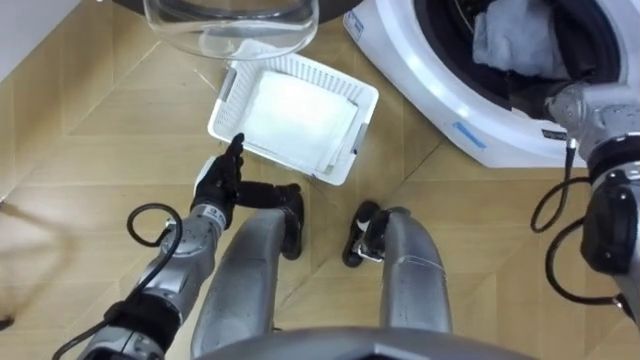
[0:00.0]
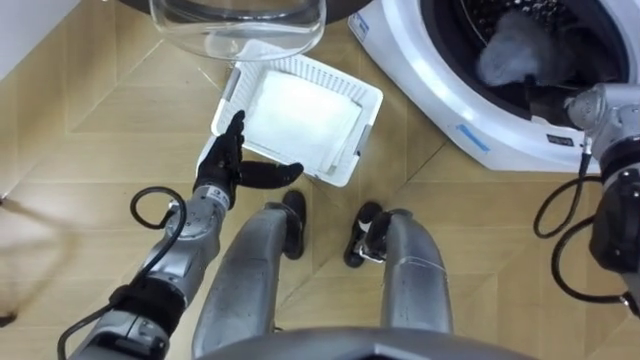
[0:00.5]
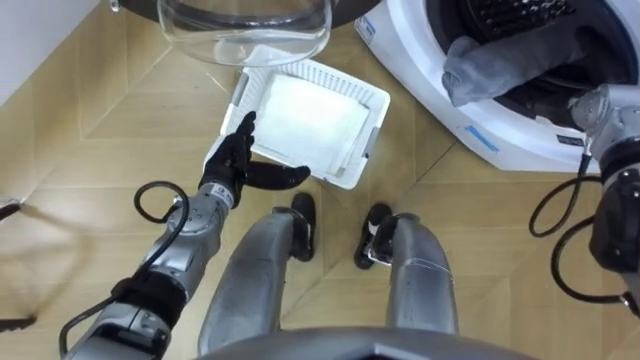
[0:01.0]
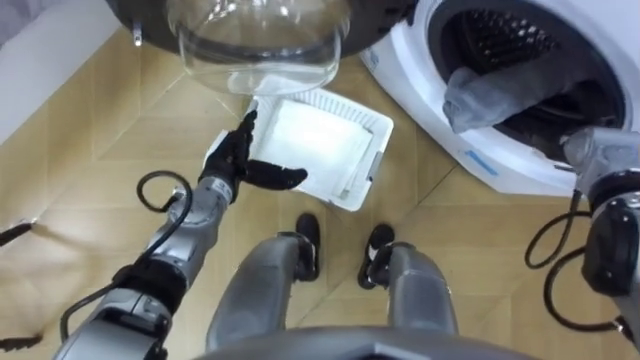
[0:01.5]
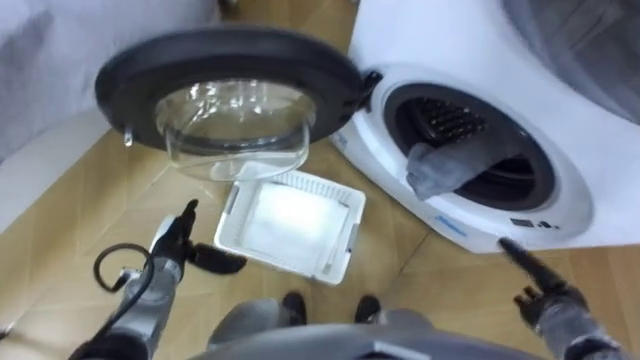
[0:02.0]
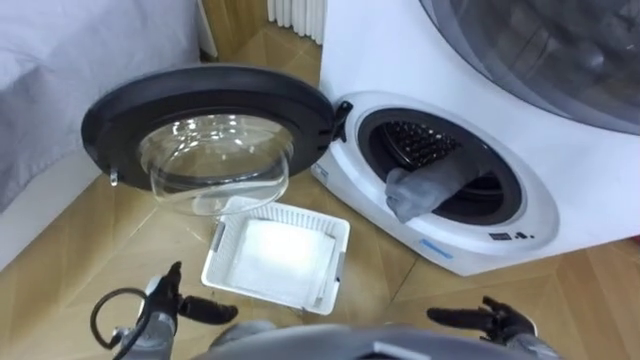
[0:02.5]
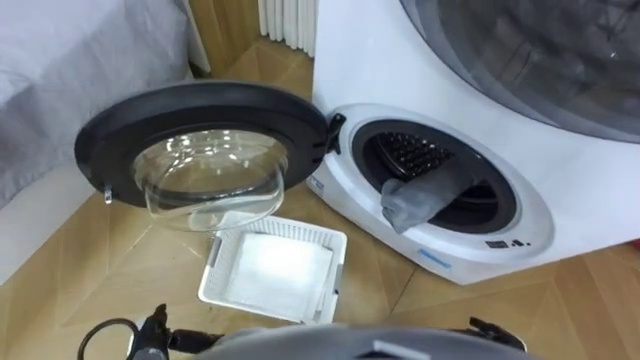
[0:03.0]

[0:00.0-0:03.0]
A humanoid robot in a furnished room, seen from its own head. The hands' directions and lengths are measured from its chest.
Task of the whole recording: Take the towel from the basket and put it into the washing machine.
0:00.0 to 0:01.5: The right hand shifts by approximately 5 cm, and opens up.
0:01.5 to 0:03.0: The left hand is displaced backward, downward and to the left by roughly 30 cm, while the right hand travels backward and downward by roughly 35 cm.

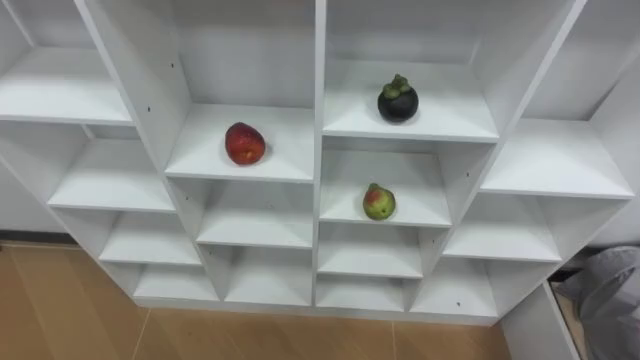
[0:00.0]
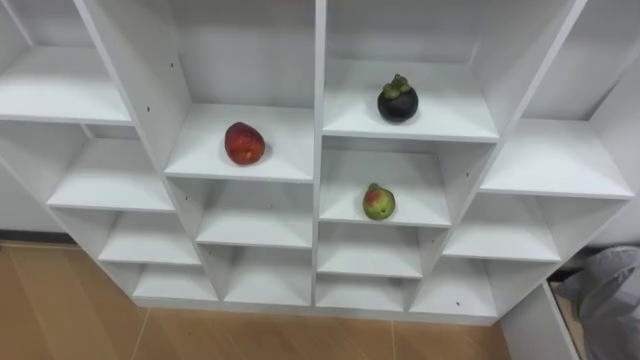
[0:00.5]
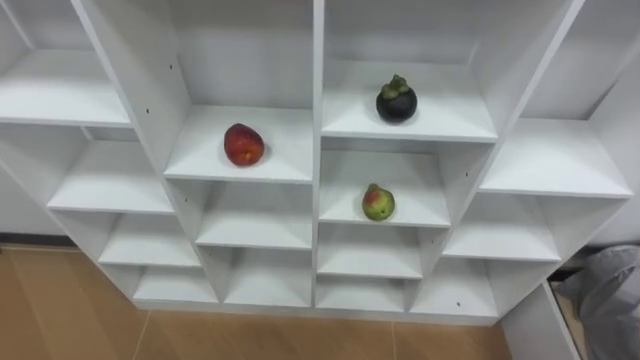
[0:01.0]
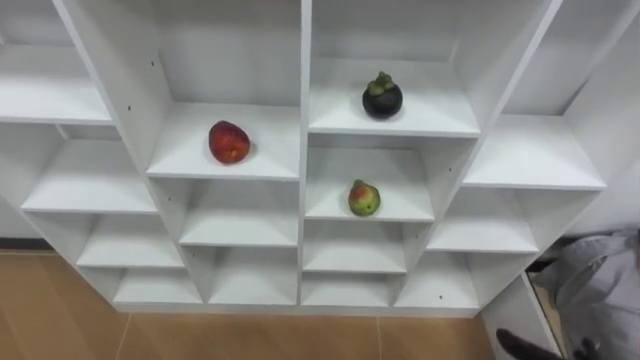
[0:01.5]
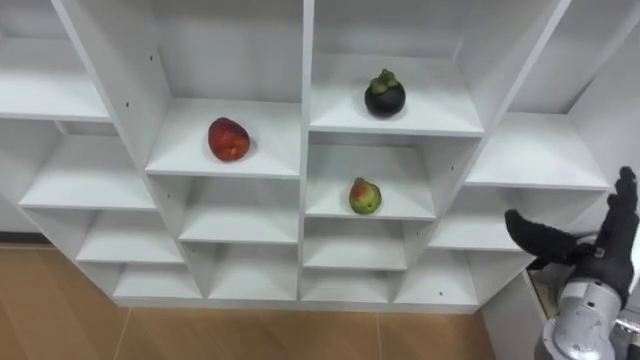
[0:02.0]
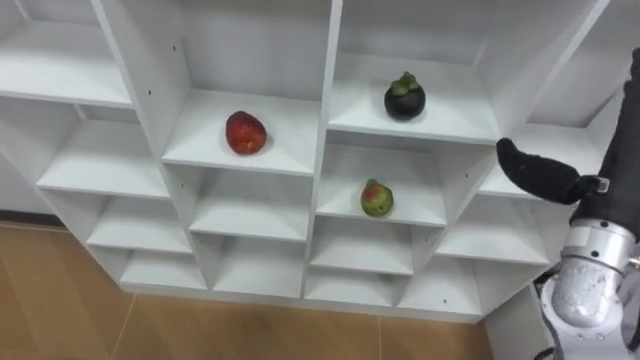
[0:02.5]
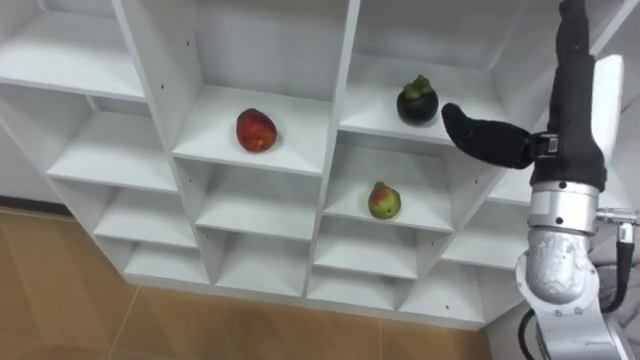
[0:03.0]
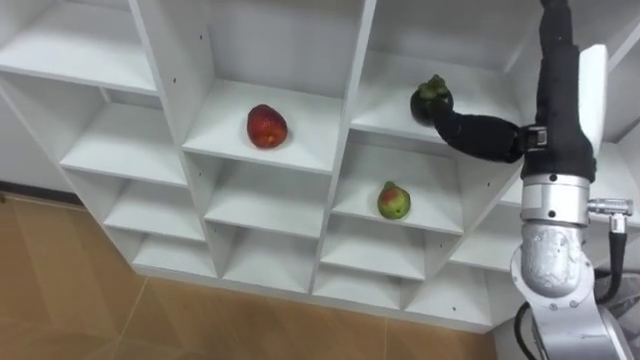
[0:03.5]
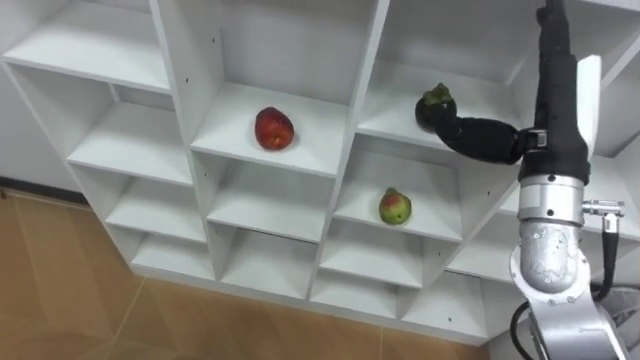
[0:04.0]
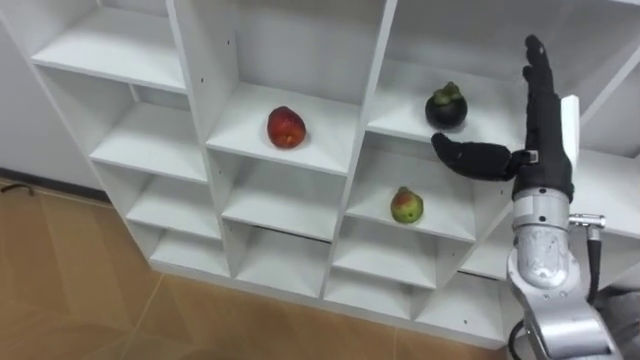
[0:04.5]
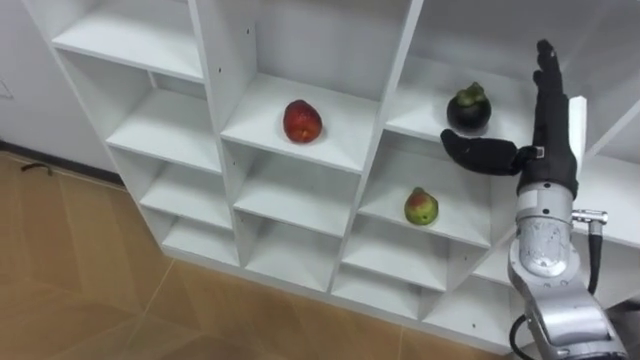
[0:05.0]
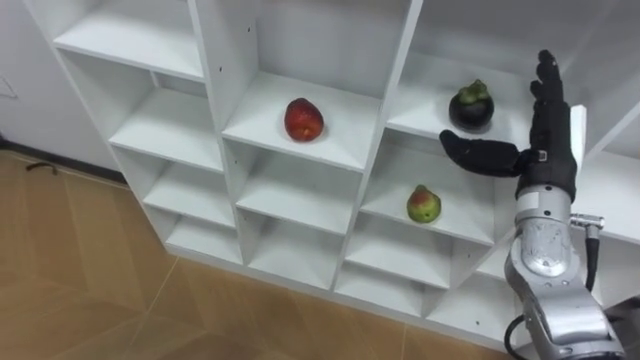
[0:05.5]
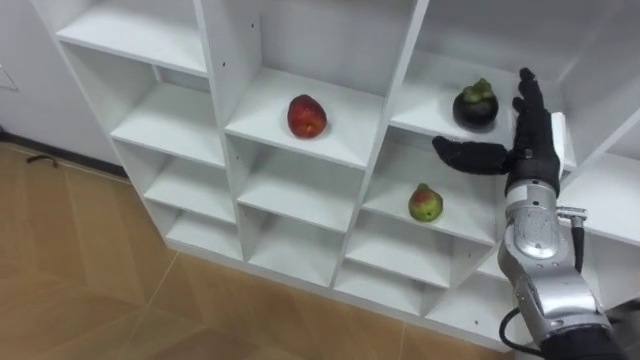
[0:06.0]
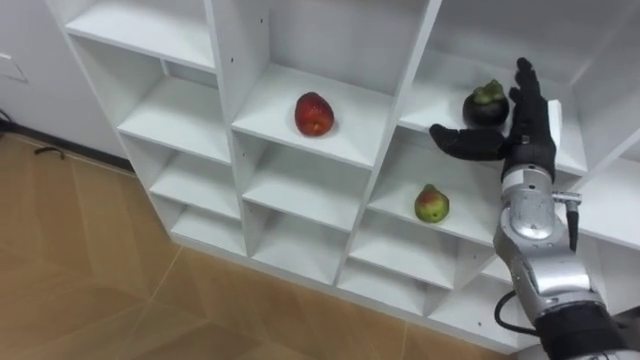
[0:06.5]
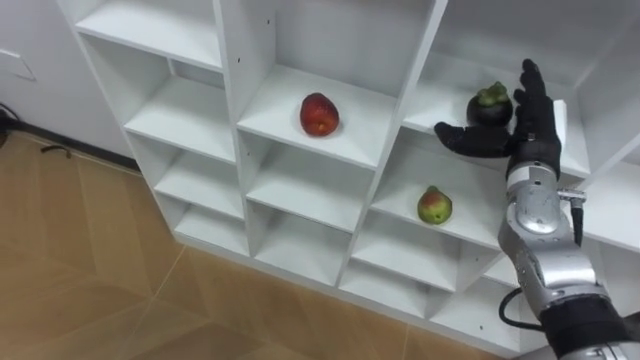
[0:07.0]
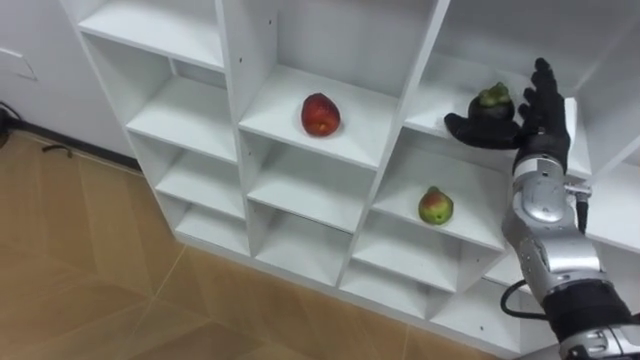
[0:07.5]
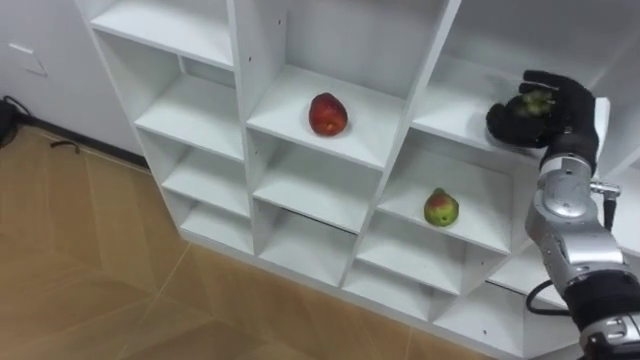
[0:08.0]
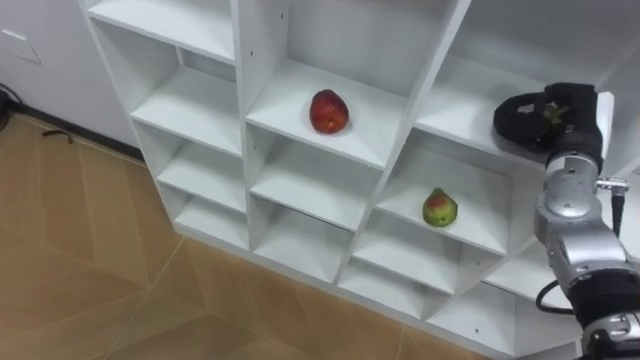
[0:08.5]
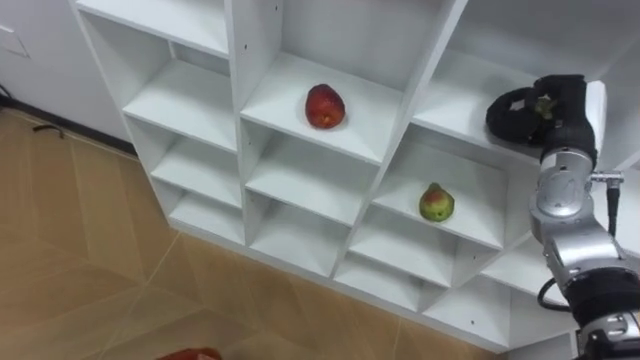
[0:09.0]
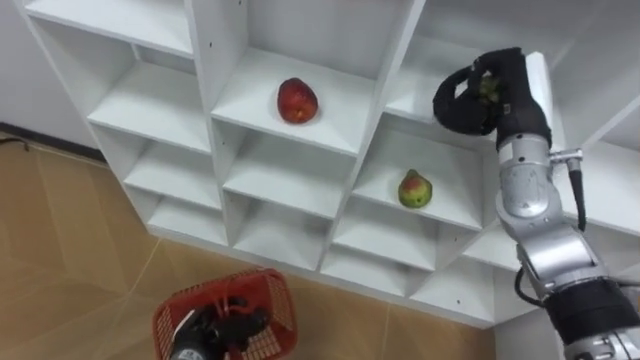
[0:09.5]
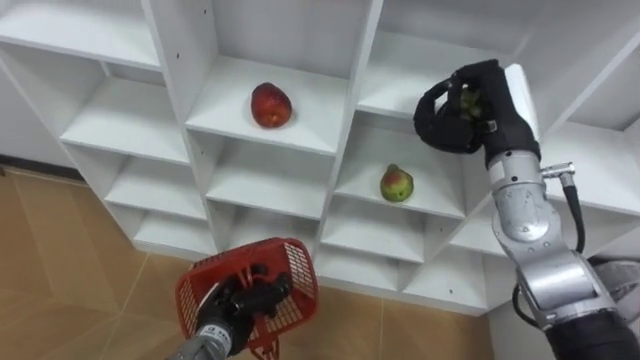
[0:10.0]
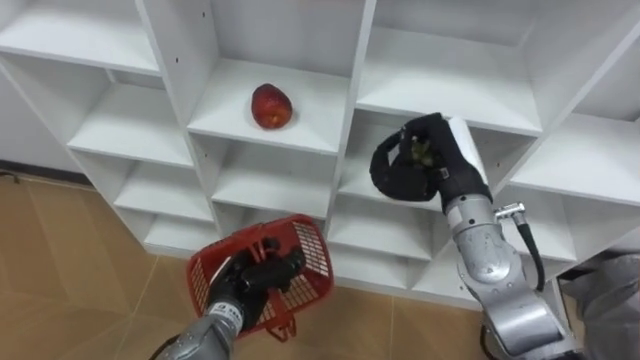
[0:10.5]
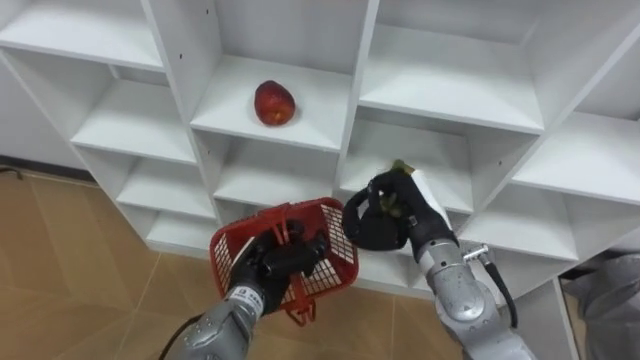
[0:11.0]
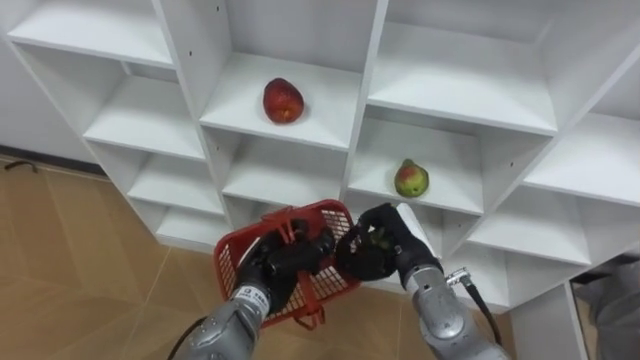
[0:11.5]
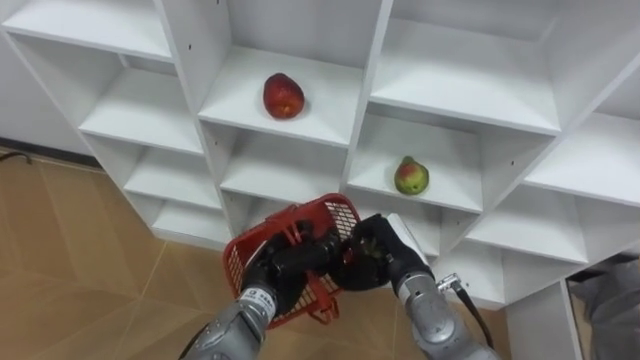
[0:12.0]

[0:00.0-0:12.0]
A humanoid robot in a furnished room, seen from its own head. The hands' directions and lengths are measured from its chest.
Task of the whole recording: Hold the basket and collect the fruits from 3 different cells of the closet into it.
0:02.0 to 0:04.0: The right hand shifts some 20 cm upward, to the left and forward.
0:04.0 to 0:06.0: The right hand is displaced downward by roughly 10 cm.
0:06.0 to 0:08.0: The right hand shifts by roughly 5 cm, and closes up.
0:08.0 to 0:10.0: The right hand goes some 10 cm to the left, and closes.
0:10.0 to 0:12.0: The right hand heads downward, to the left and backward, covering roughly 20 cm. Meanwhile the left hand heads to the right and upward, covering some 10 cm.

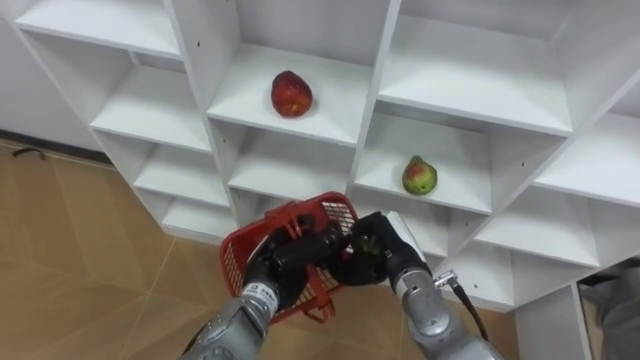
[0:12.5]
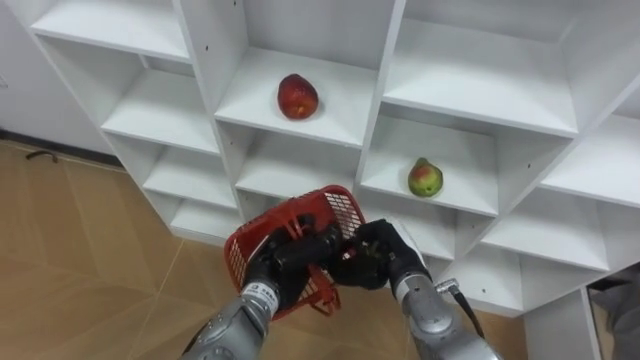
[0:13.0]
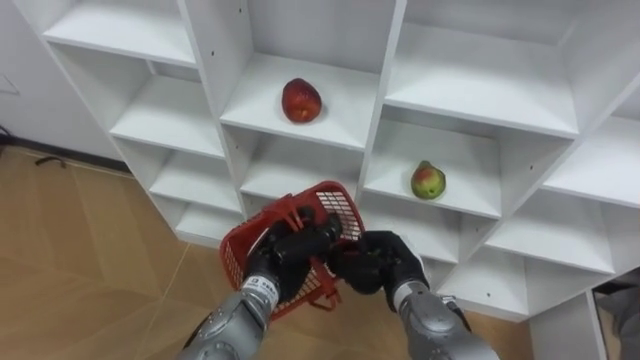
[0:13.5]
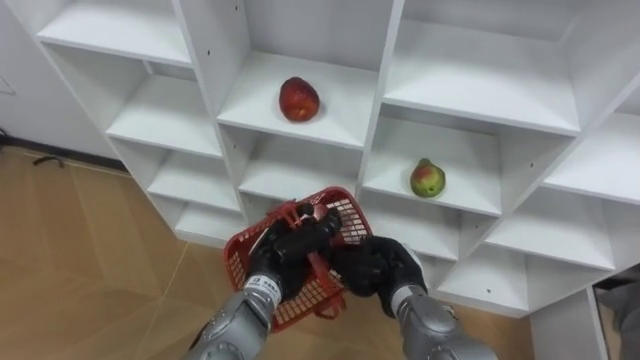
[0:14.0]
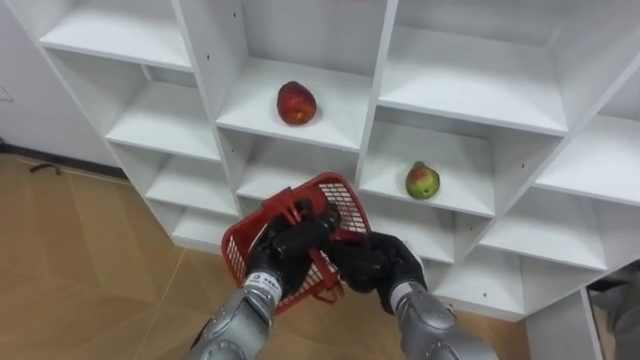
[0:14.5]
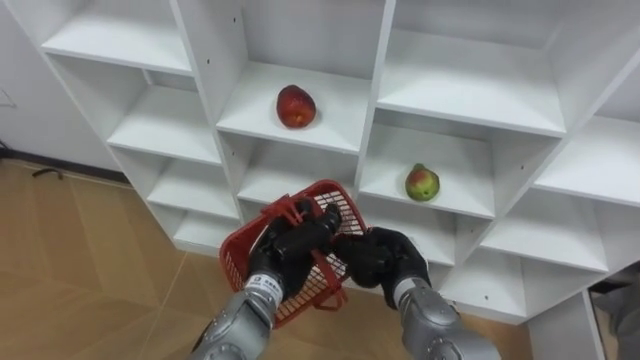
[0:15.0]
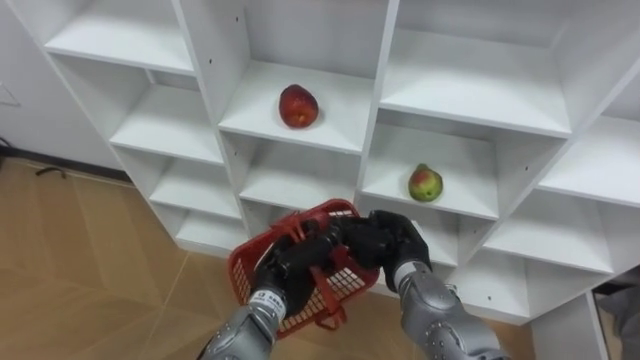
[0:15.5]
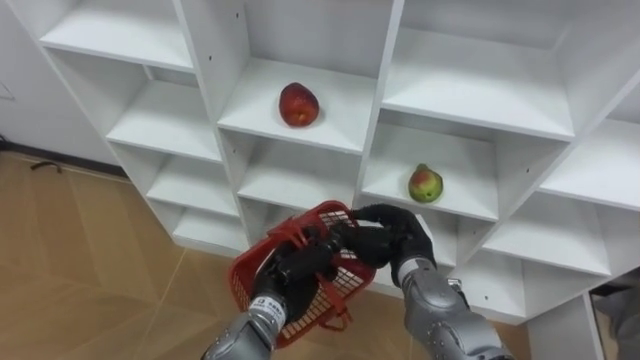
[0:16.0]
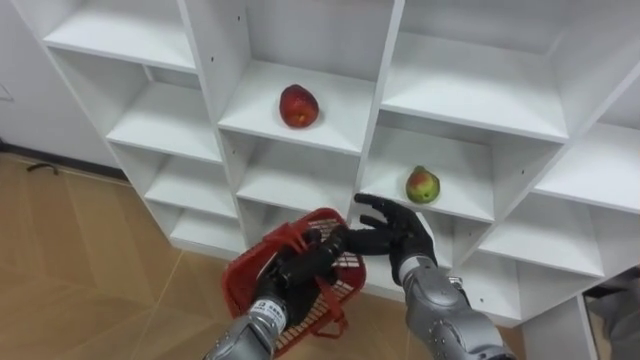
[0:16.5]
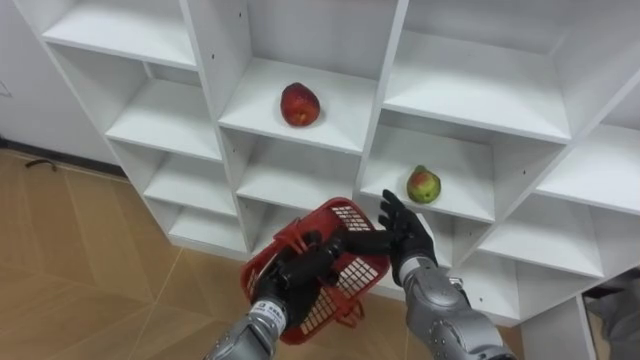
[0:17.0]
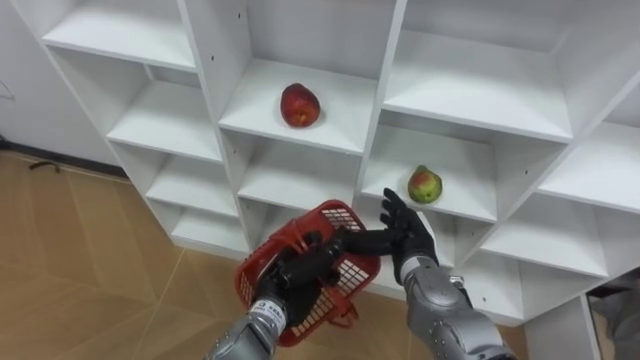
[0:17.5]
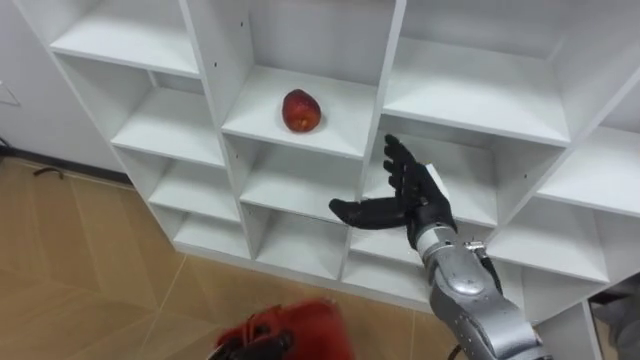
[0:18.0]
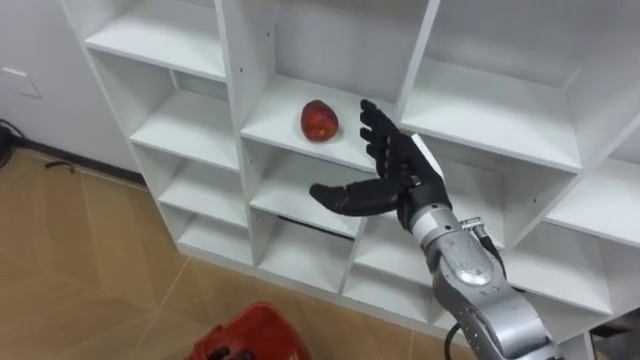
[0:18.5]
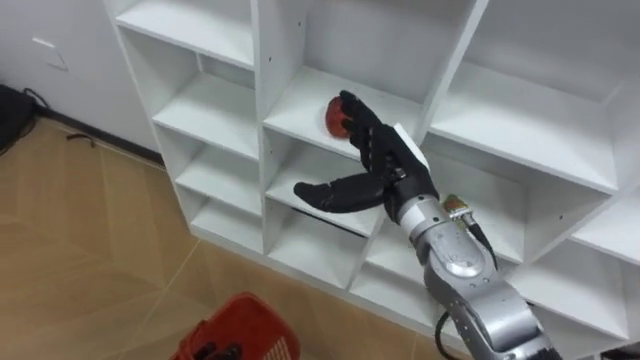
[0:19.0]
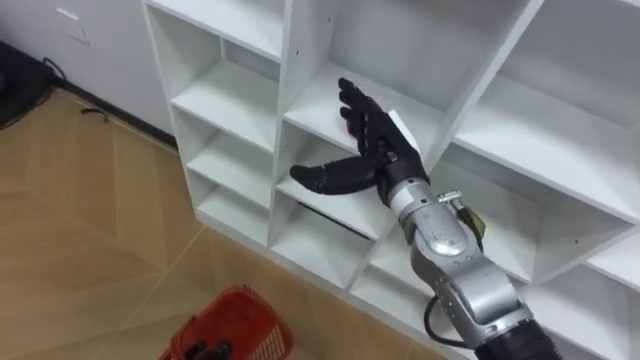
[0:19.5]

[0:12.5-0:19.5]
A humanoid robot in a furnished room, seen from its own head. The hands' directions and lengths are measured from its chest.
Task of the whole recording: Hold the basket and collect the fruits from 3 different cells of the closet into it.
0:14.5 to 0:16.0: There are only small adjustments of the hands.
0:16.0 to 0:17.5: The right hand opens its fingers.
0:17.5 to 0:19.5: The right hand shifts roughly 15 cm upward.
